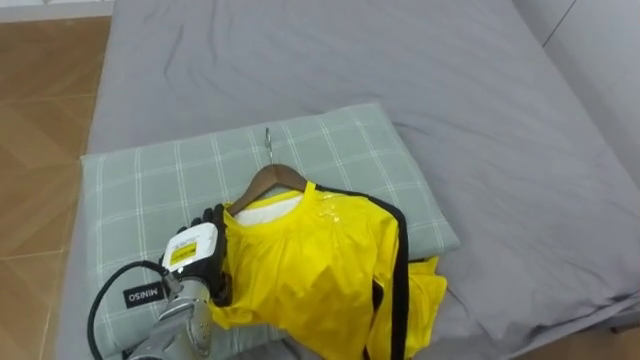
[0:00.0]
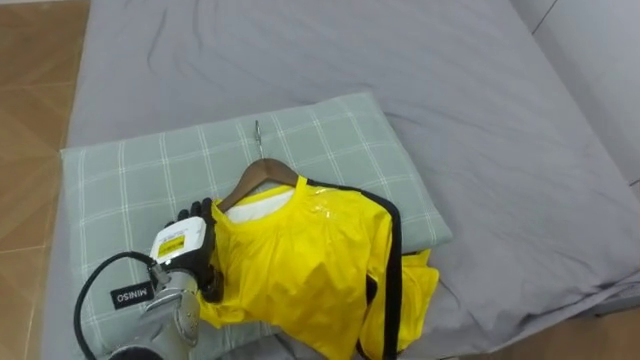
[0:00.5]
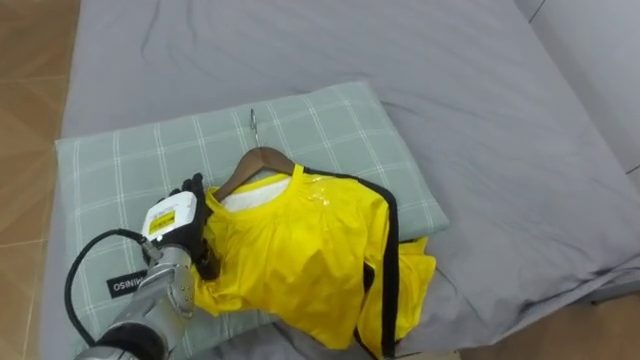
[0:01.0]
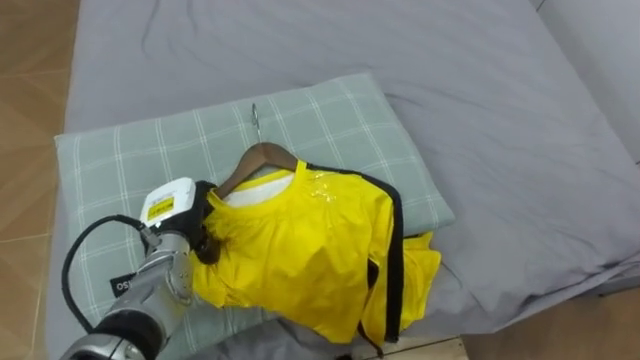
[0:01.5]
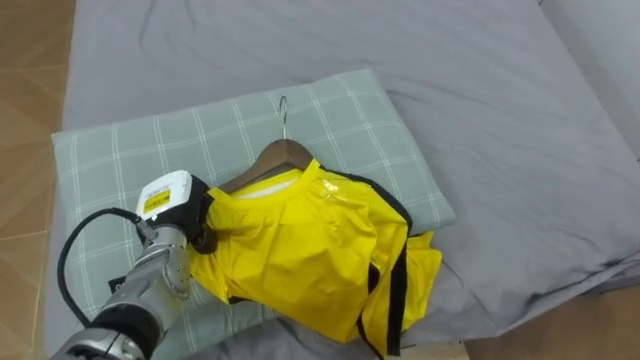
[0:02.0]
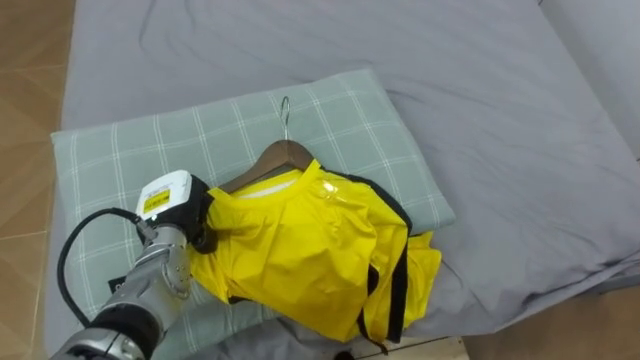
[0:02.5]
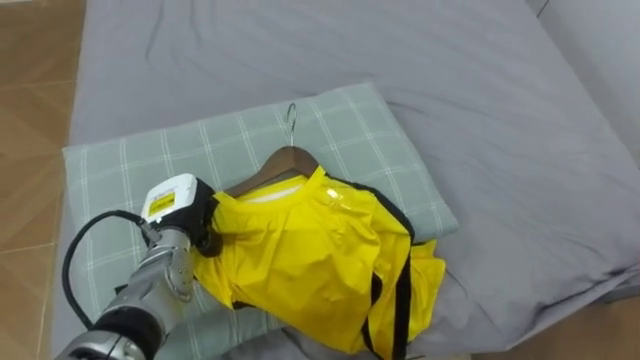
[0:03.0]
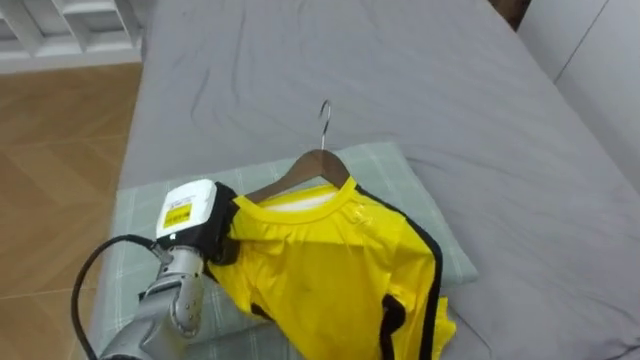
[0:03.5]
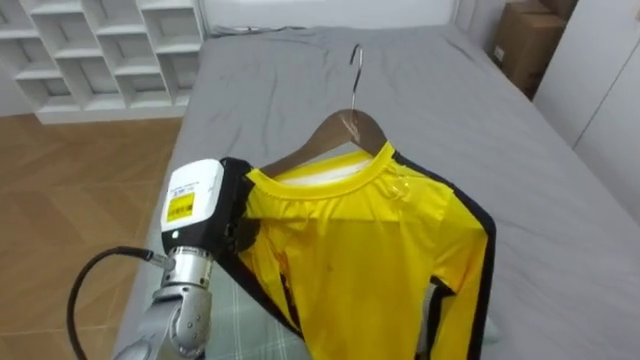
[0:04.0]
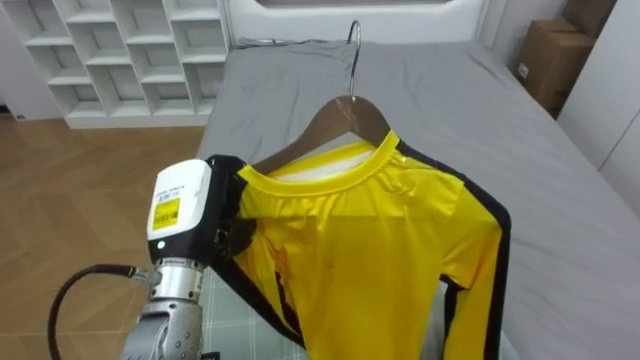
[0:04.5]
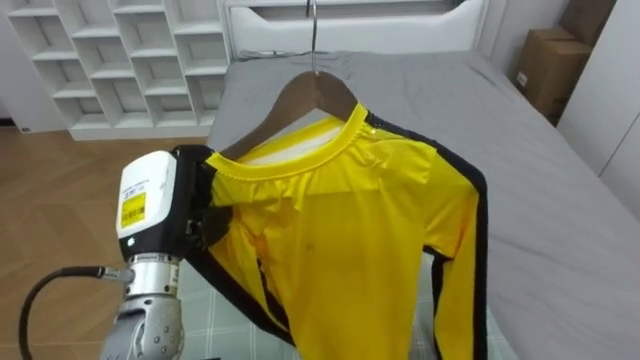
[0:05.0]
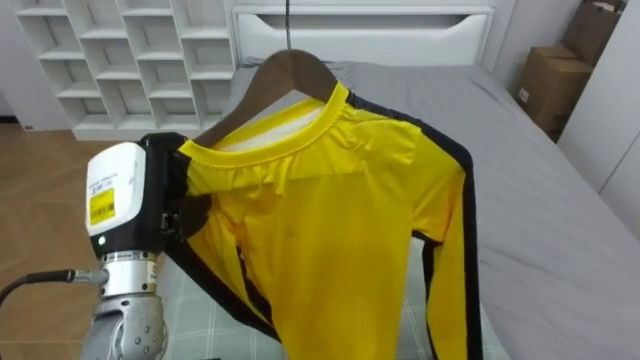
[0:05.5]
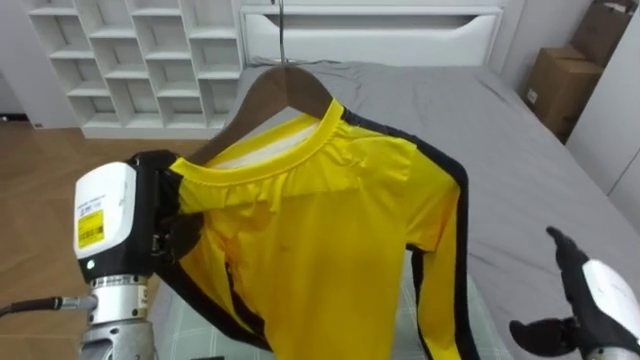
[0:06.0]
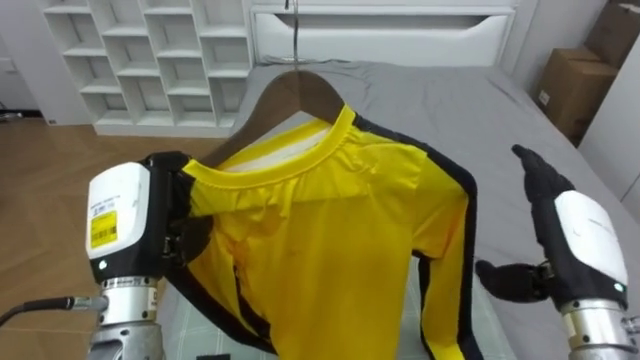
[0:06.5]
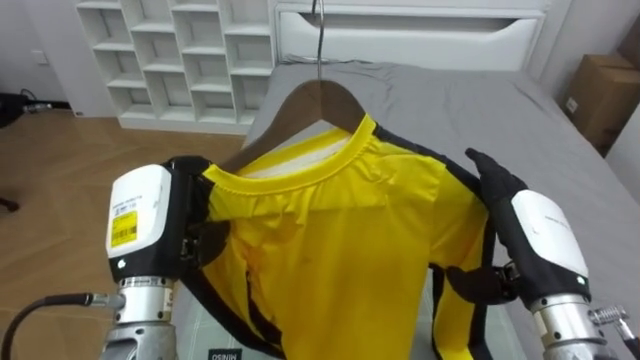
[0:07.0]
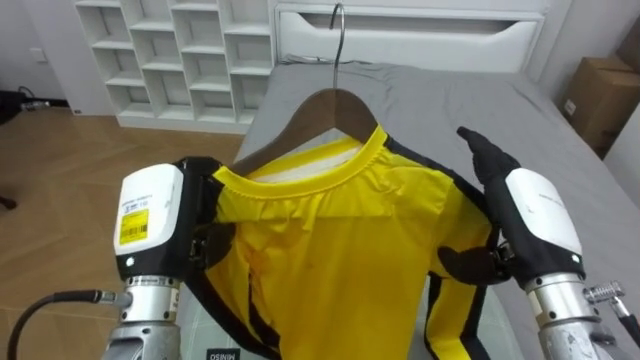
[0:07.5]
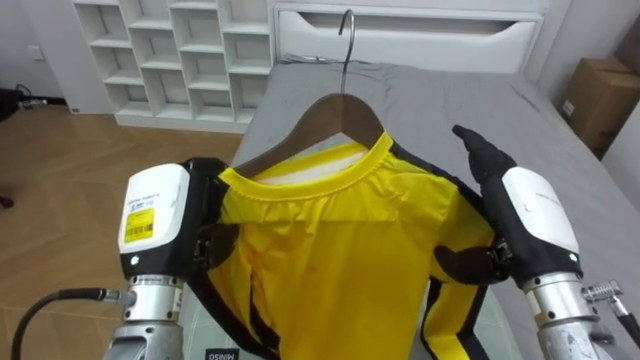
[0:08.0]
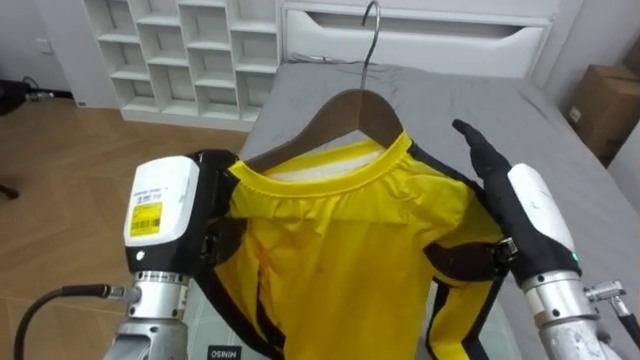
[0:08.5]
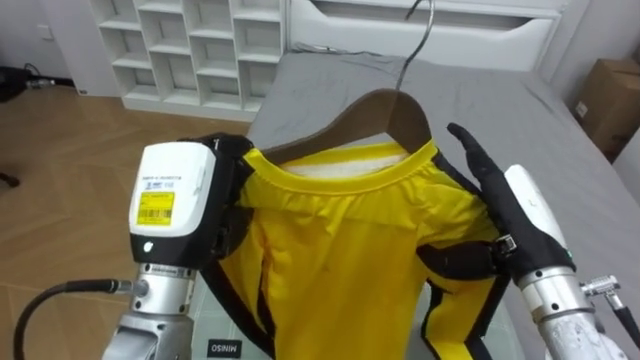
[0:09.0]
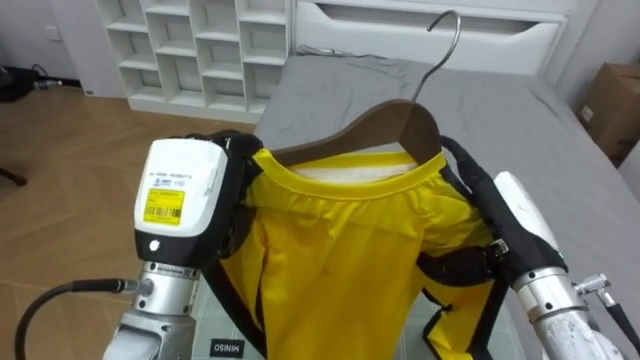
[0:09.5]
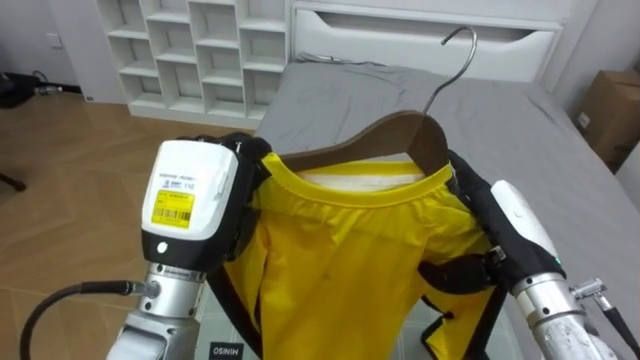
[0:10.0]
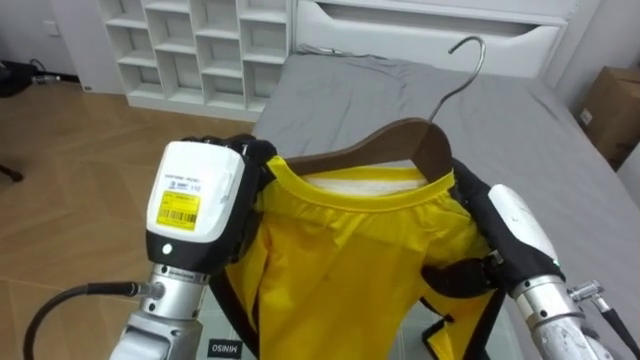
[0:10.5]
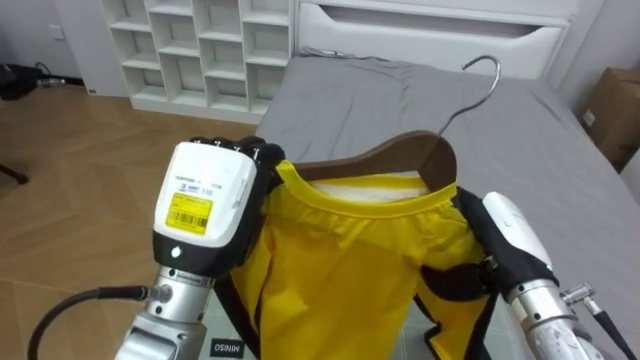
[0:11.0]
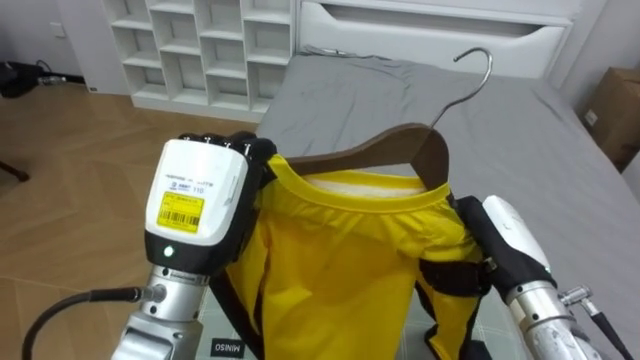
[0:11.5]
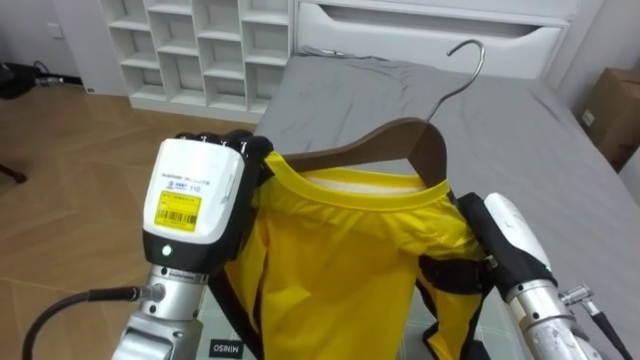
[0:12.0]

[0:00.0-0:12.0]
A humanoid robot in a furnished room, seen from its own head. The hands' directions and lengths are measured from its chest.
Task of the whole recording: Pick up the yellow shirt on the bed and hang it on the clothes rack on the right.
0:00.0 to 0:02.0: The left hand moves upward, some 5 cm, and closes up.
0:02.0 to 0:04.0: The left hand is displaced upward and to the right by roughly 10 cm.
0:04.0 to 0:06.0: The left hand travels to the left and backward by roughly 10 cm.
0:06.0 to 0:08.0: The right hand is displaced upward and to the left by roughly 15 cm.
0:08.0 to 0:10.0: The left hand changes place by roughly 5 cm.
0:10.0 to 0:12.0: The right hand closes its fingers.

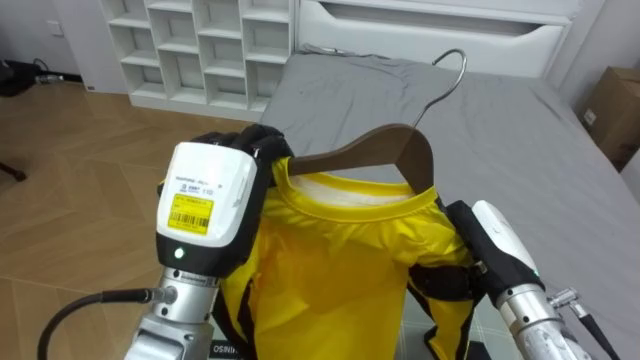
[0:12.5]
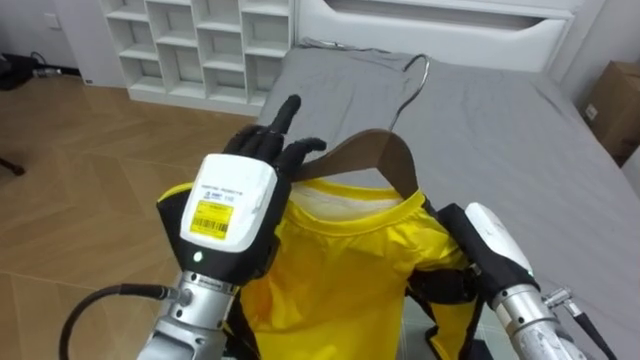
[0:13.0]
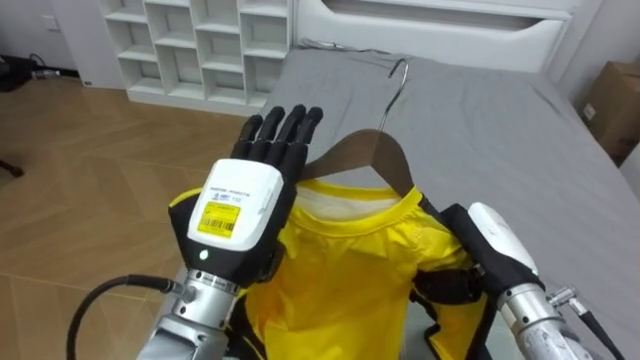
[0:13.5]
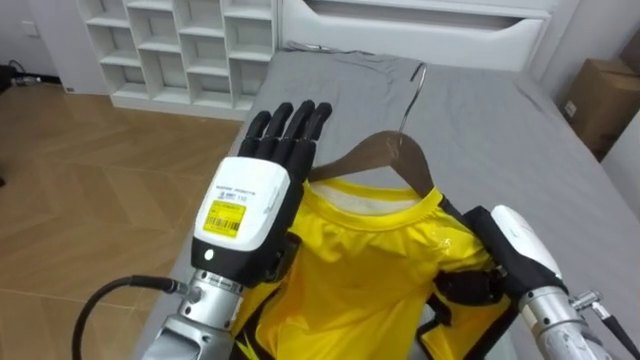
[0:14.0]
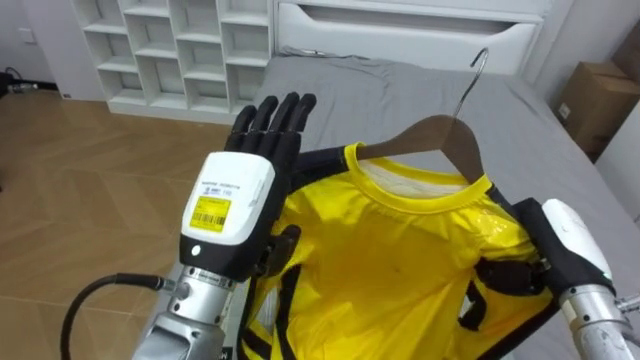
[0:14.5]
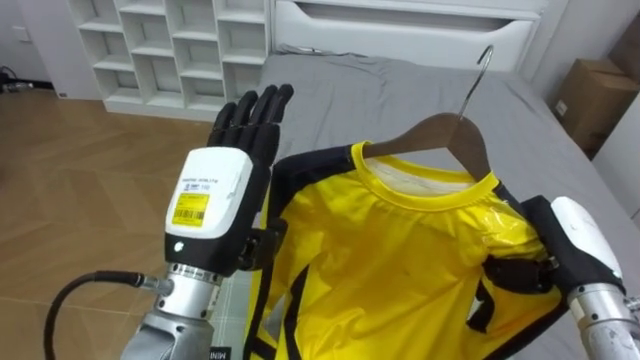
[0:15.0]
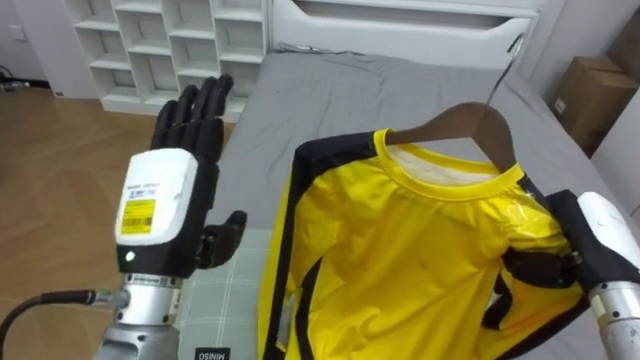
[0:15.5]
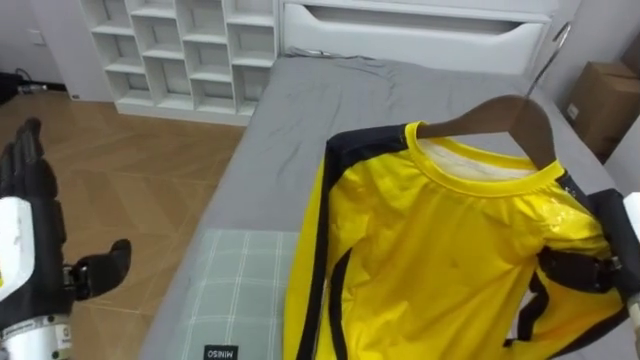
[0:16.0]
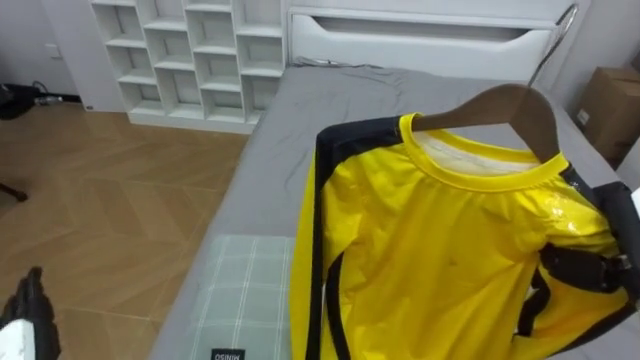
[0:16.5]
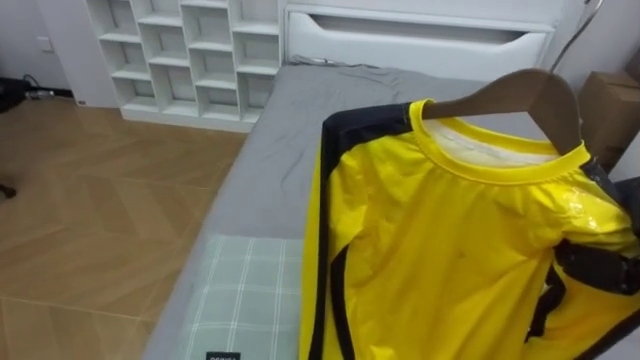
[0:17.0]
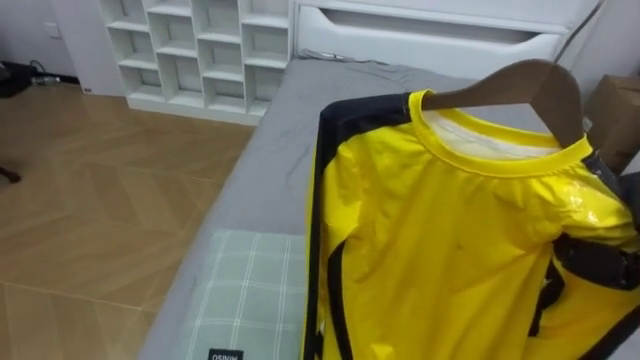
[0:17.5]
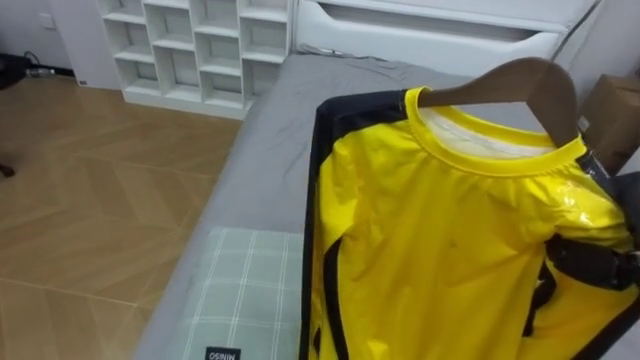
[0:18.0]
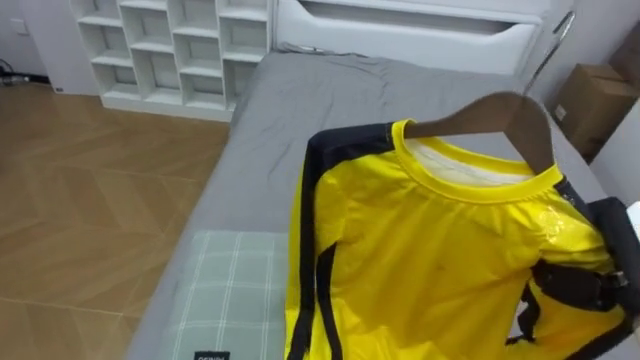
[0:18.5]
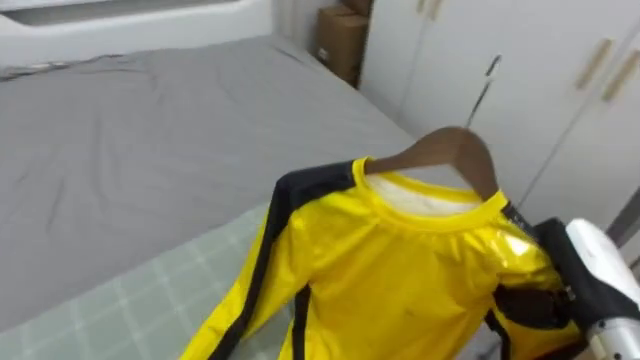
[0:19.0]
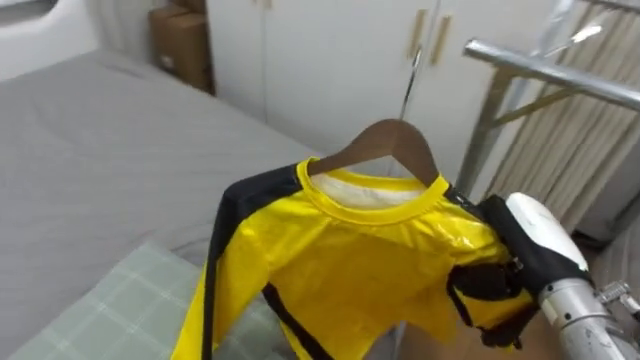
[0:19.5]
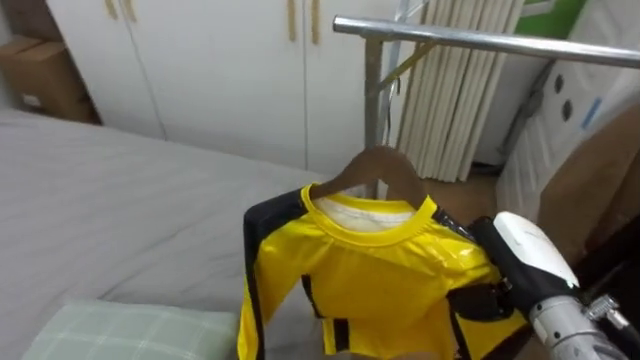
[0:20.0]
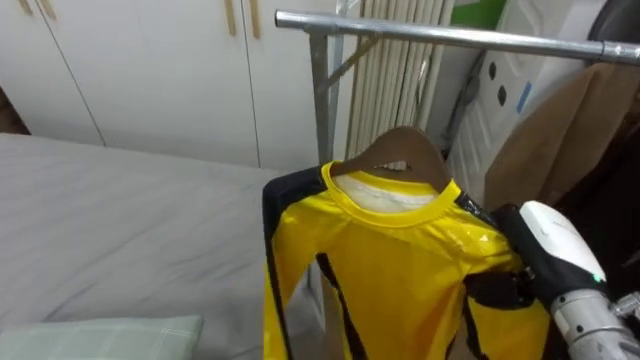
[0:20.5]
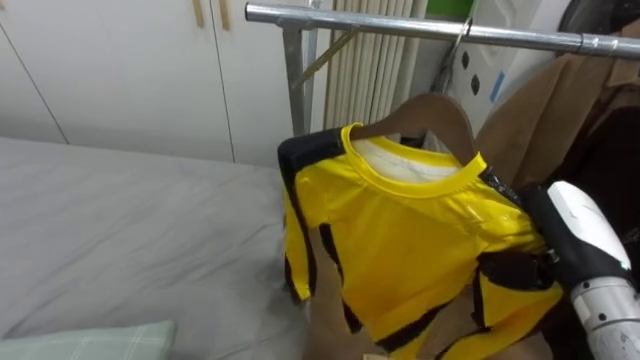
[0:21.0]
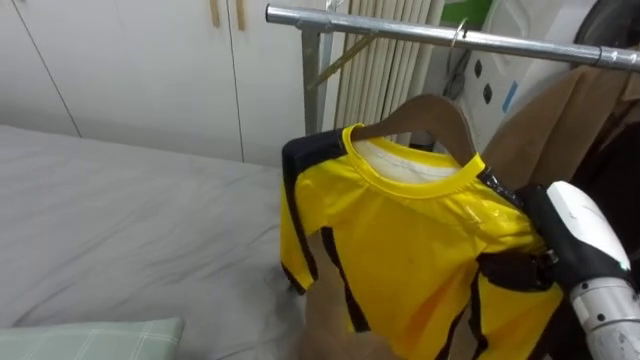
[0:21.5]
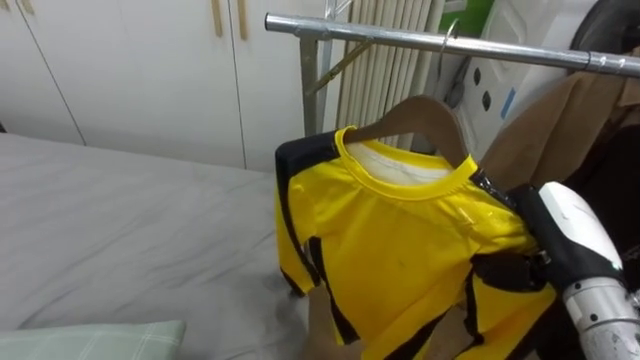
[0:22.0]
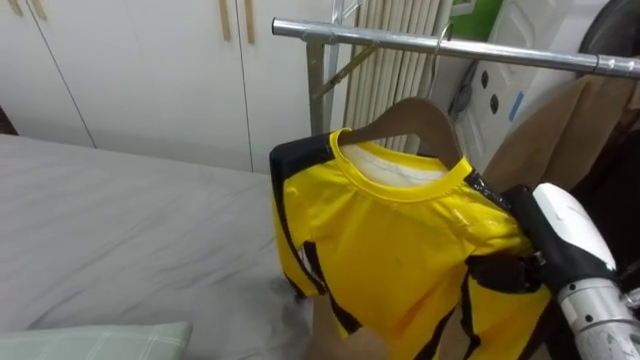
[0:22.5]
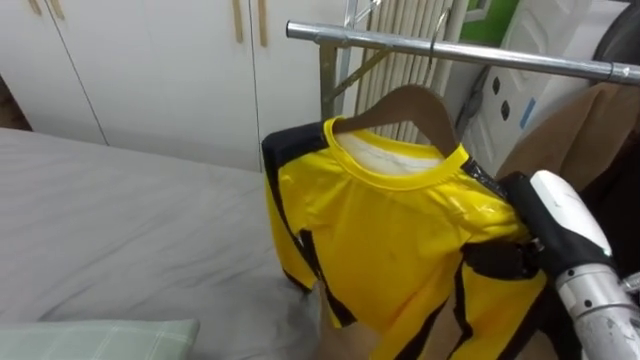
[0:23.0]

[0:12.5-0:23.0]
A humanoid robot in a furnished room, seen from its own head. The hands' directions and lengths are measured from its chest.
Task of the whole recording: Pick up the yellow shirt on the bed and hang it on the clothes rack on the right.
0:12.5 to 0:14.5: The right hand heads to the right, covering approximately 10 cm. Meanwhile the left hand opens its fingers.
0:14.5 to 0:16.5: The right hand travels to the right by roughly 5 cm.
0:16.5 to 0:19.0: The robot faces roughly 40 degrees further to its right.
0:19.0 to 0:21.0: The robot turns to its right by roughly 50 degrees.
